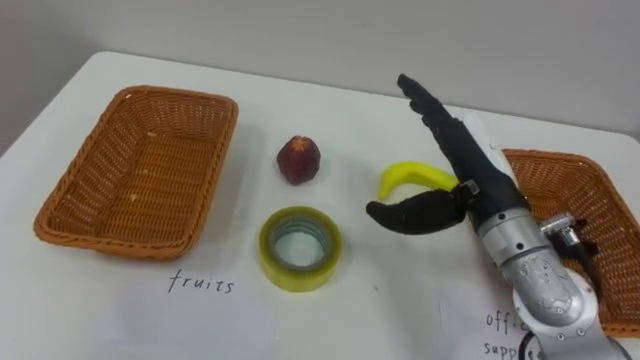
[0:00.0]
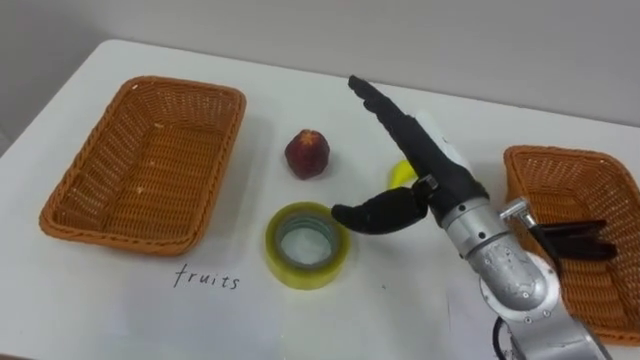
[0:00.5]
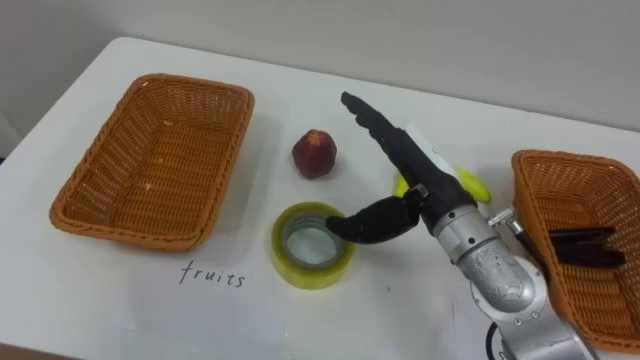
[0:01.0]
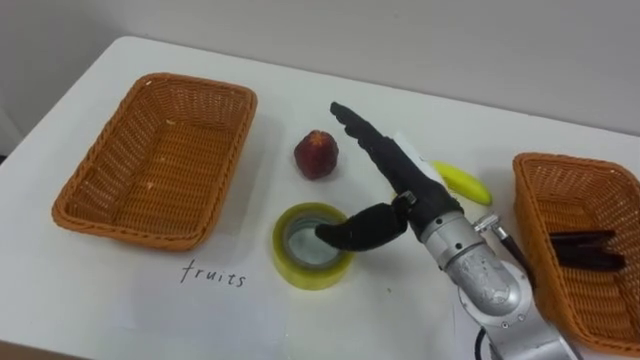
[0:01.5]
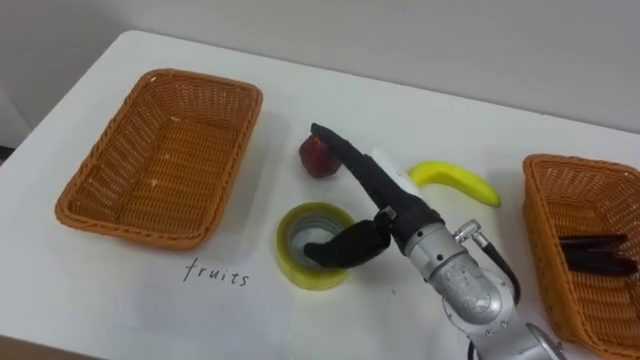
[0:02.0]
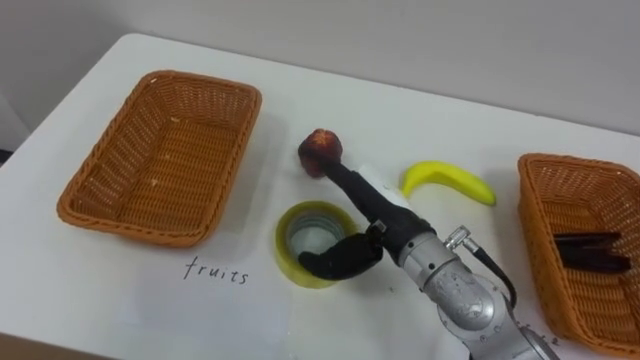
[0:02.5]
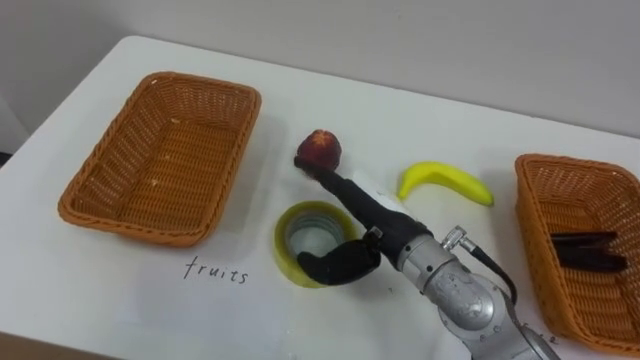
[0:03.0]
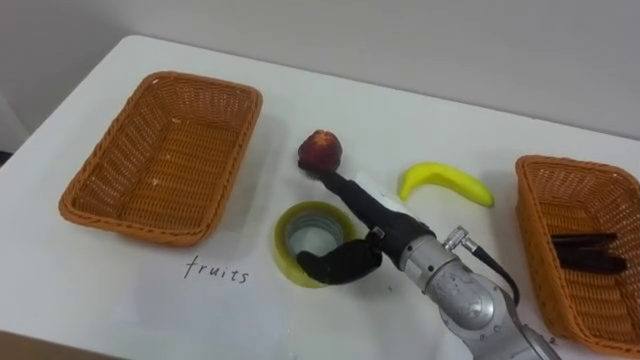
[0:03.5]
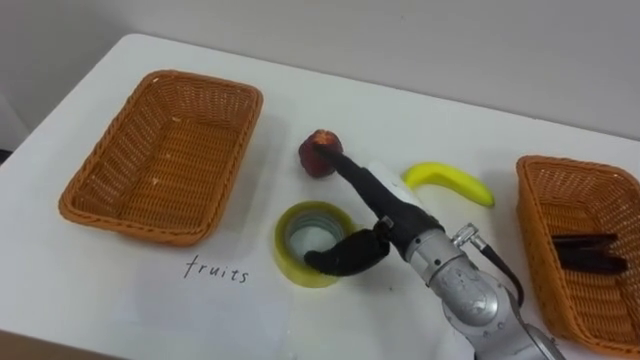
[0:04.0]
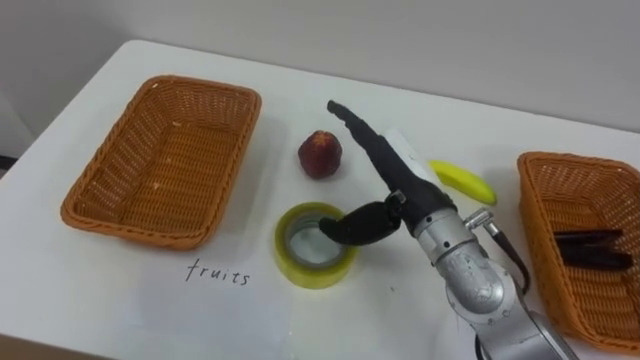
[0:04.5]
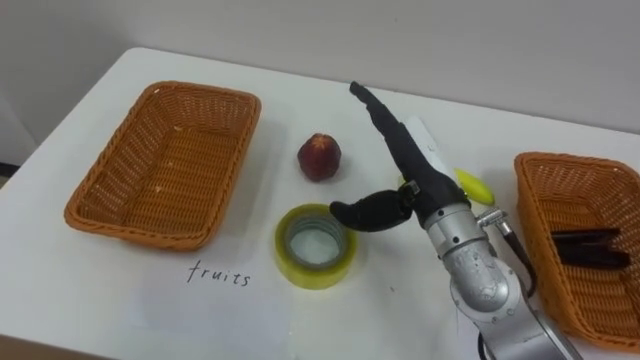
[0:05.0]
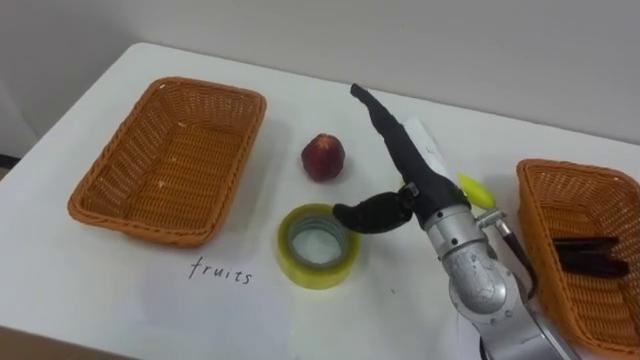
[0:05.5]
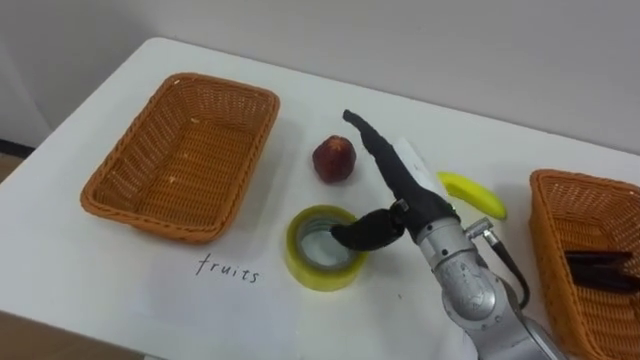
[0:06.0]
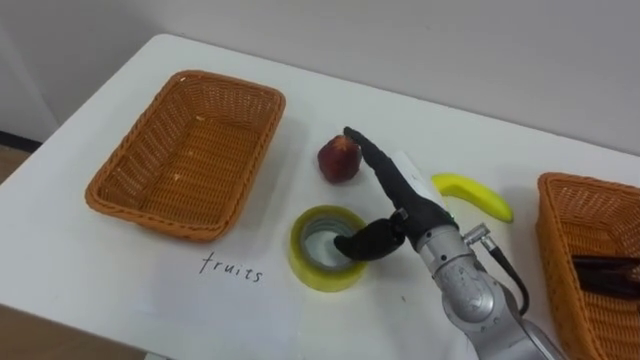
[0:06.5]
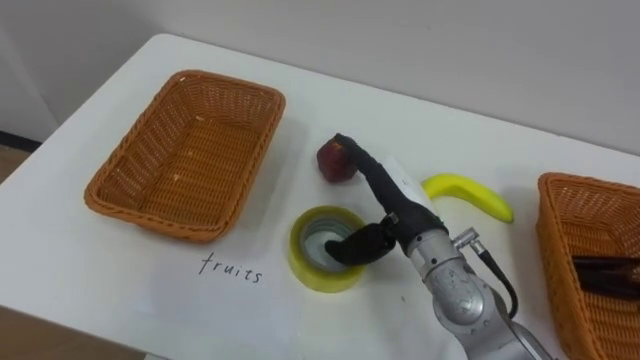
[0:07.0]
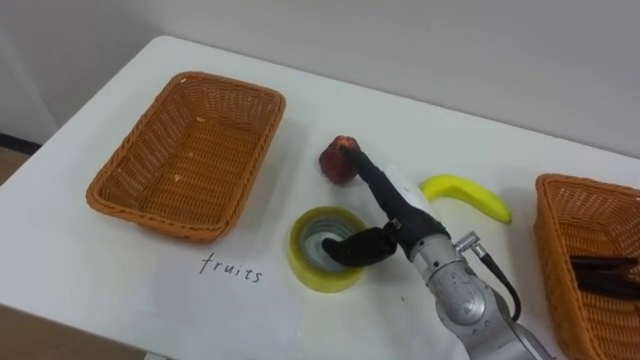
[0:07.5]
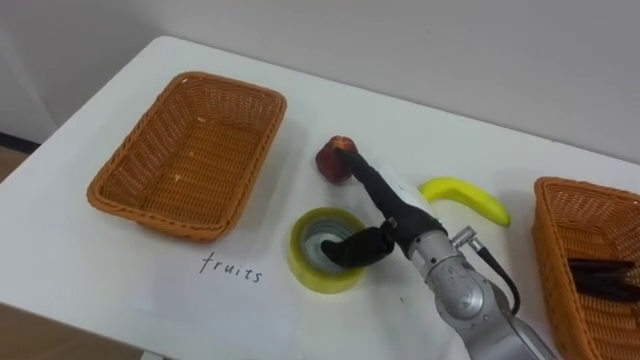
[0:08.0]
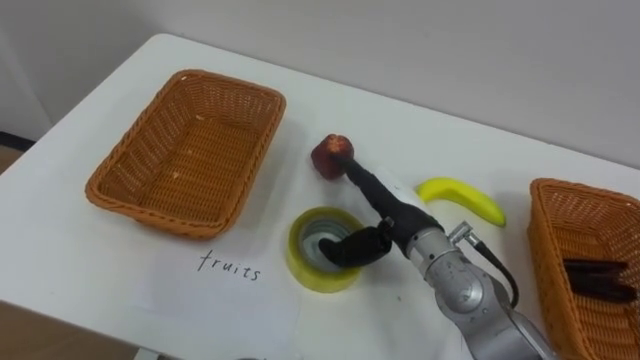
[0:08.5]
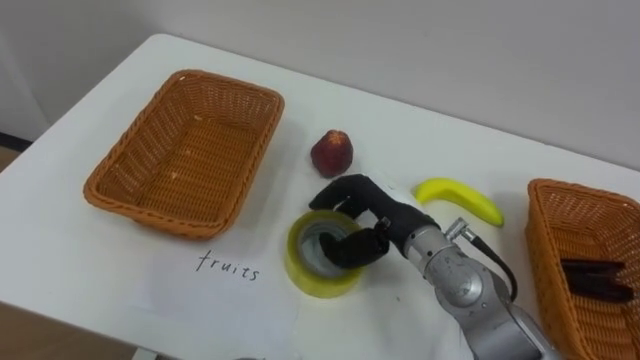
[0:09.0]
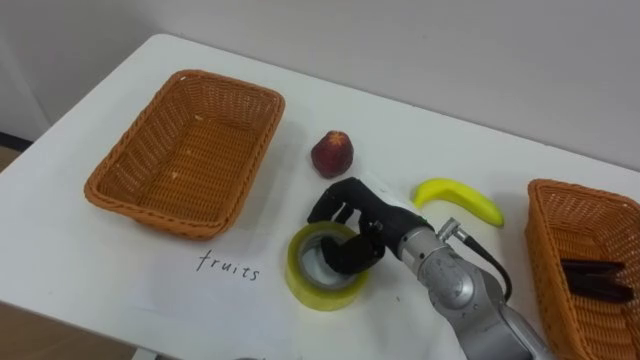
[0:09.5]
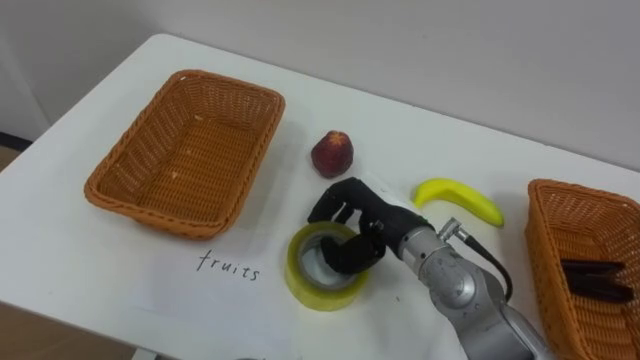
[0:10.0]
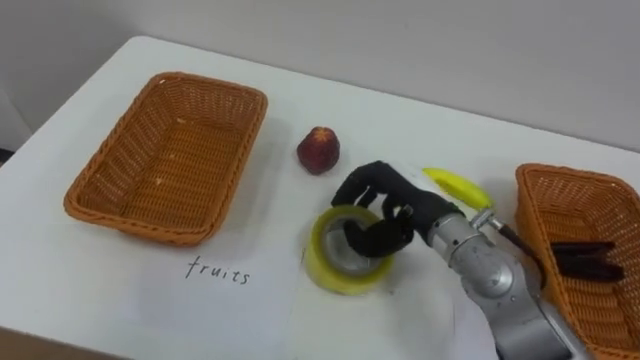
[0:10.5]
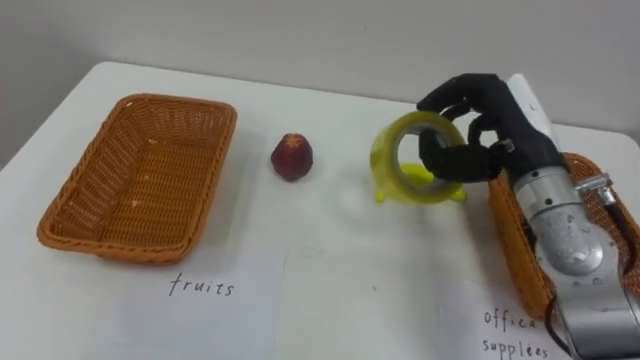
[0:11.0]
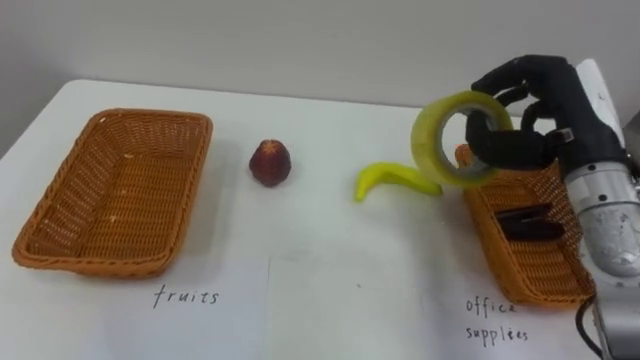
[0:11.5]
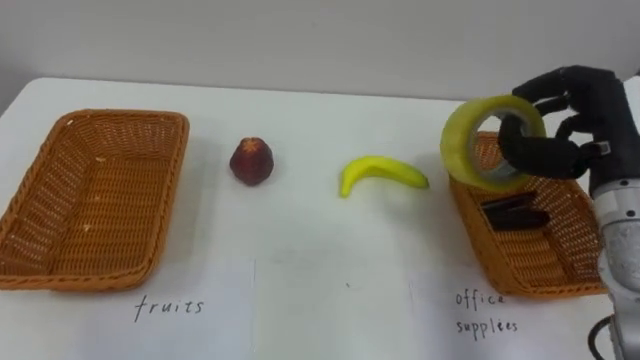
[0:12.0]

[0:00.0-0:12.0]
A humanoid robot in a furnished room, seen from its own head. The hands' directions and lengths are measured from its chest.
Task of the whole recording: Separate the items on the table and place them into the two baskets.
0:00.0 to 0:02.0: The right hand travels to the left by some 10 cm.
0:08.0 to 0:10.0: The right hand closes its fingers.
0:10.0 to 0:12.0: The right hand is displaced to the right and upward by about 25 cm.

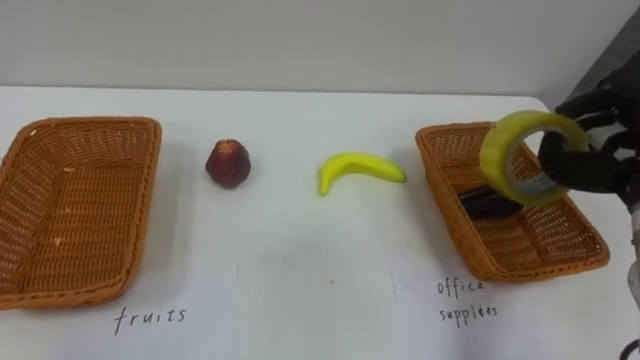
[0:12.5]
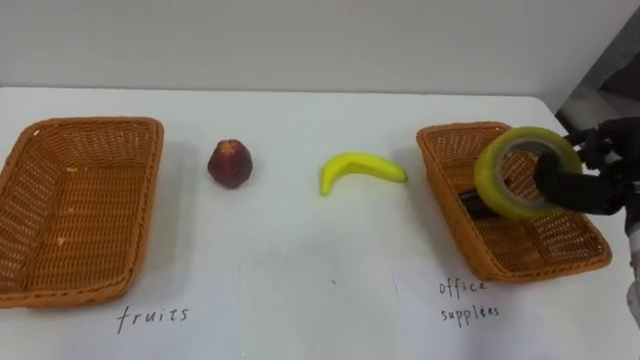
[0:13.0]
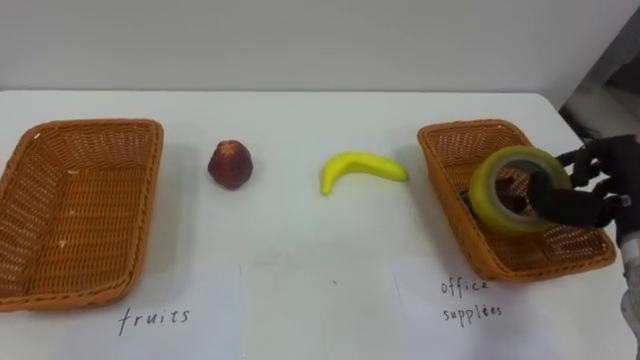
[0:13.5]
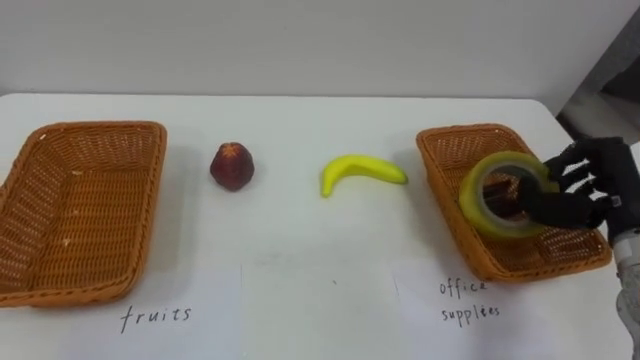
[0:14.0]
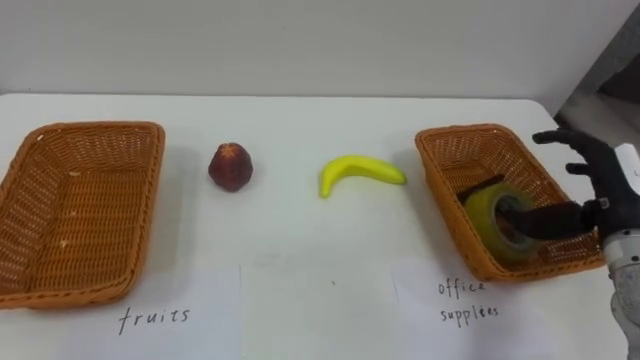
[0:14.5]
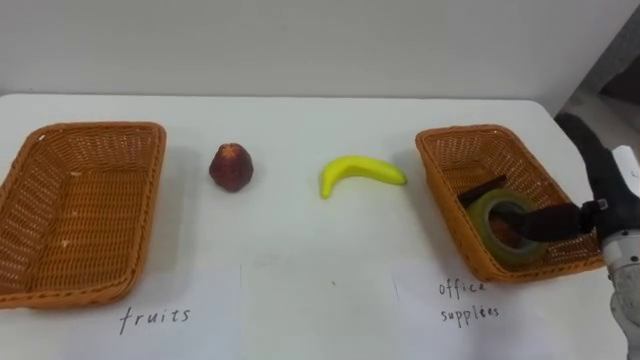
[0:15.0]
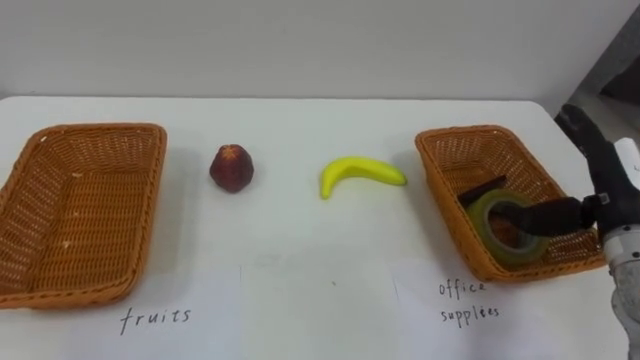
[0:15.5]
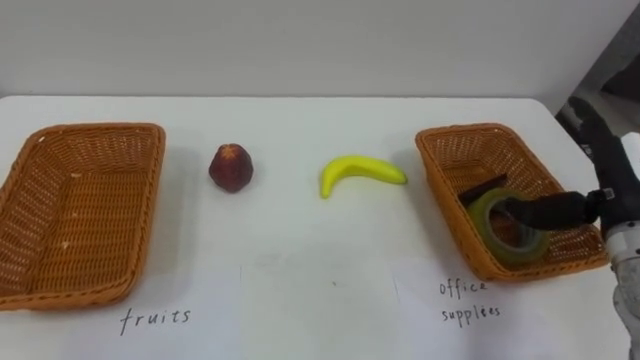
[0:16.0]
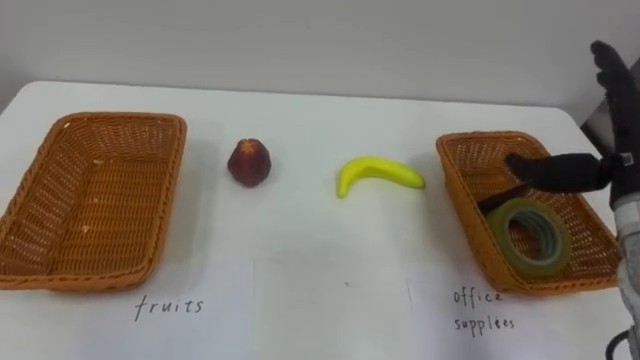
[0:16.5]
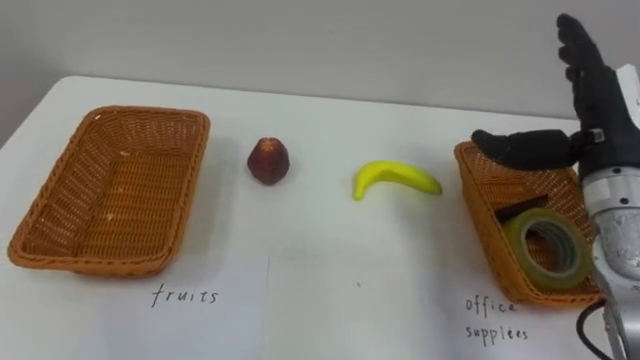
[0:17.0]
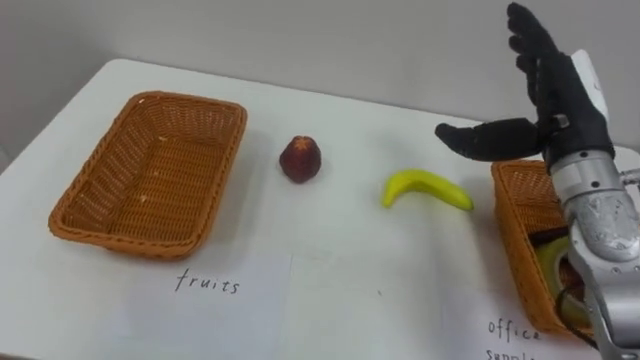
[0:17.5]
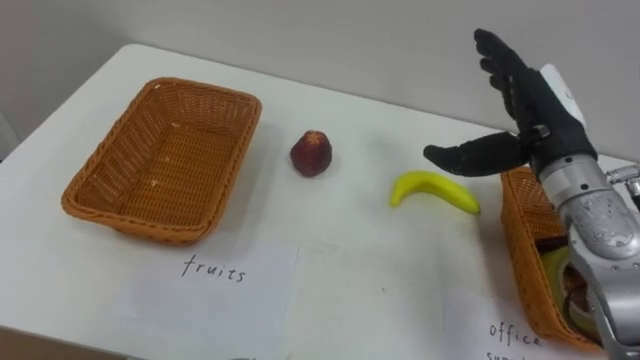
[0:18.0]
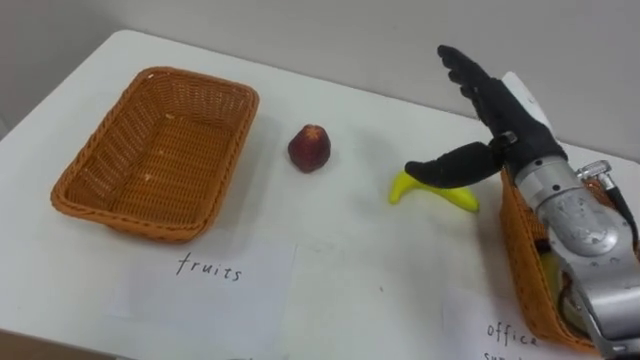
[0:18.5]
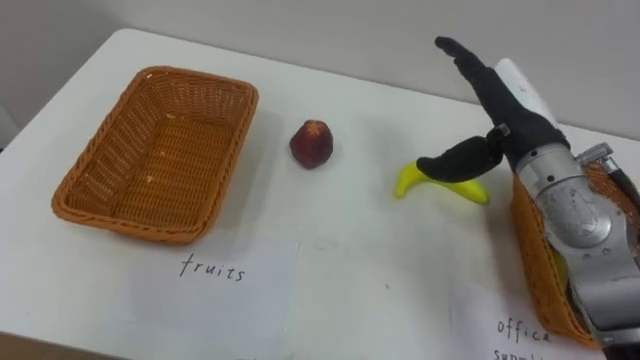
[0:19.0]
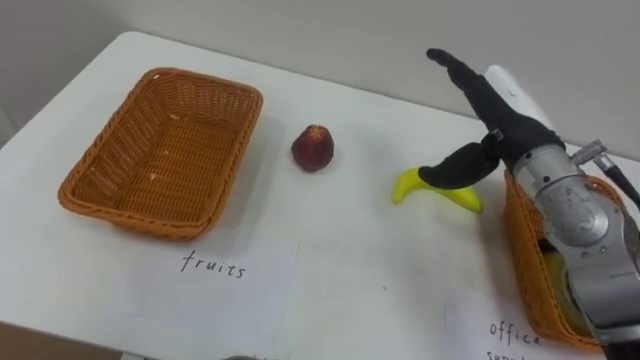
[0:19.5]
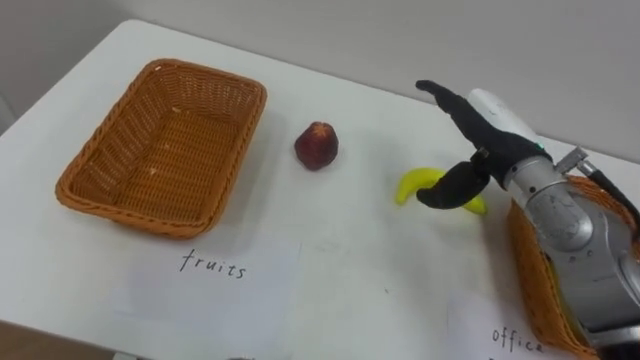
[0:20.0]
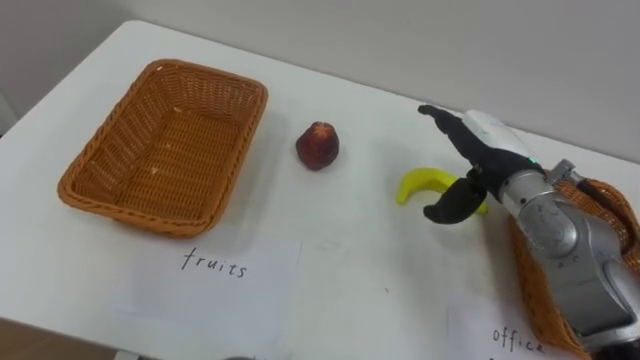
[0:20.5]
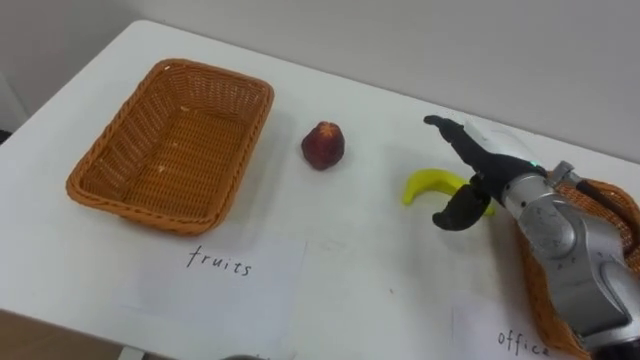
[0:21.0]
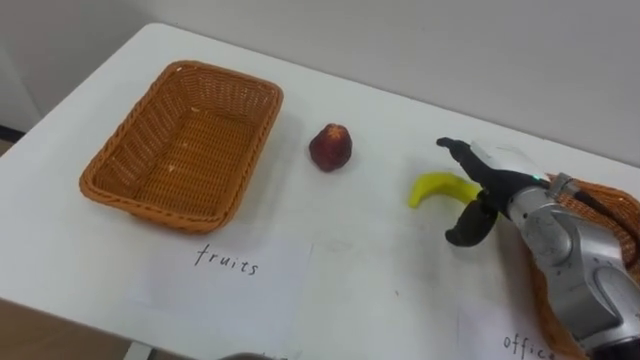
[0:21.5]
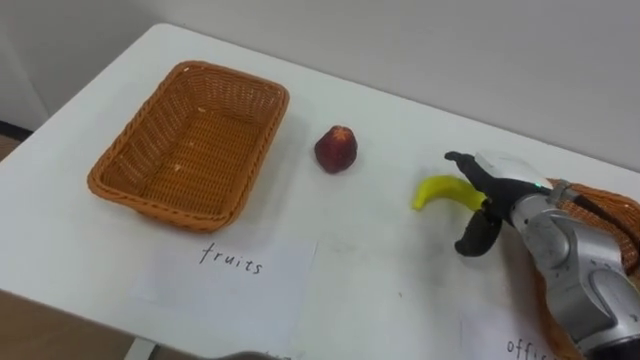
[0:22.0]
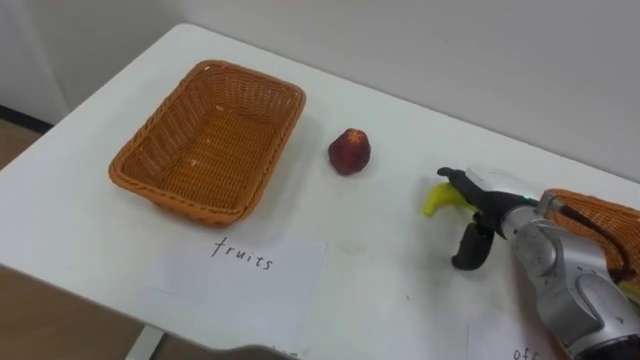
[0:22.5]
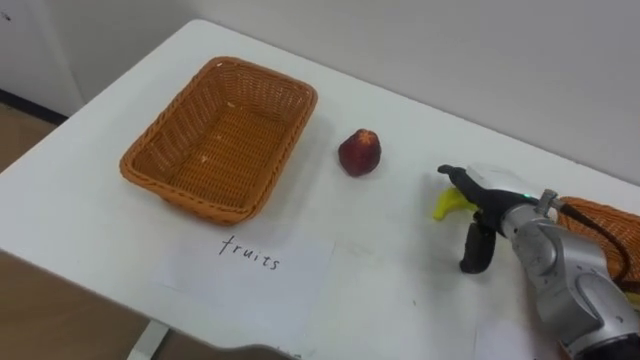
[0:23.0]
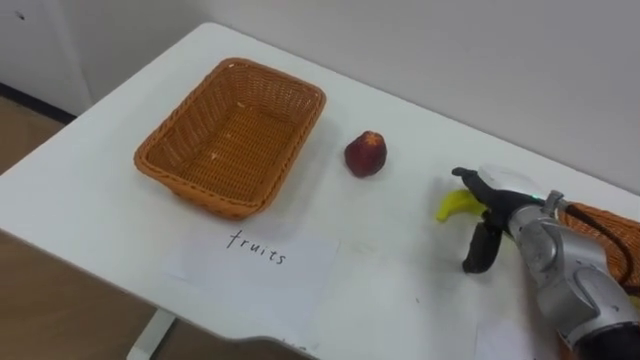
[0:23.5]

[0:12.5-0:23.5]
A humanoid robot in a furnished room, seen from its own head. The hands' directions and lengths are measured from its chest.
Task of the whole recording: Separate the items on the table and place them into the two baskets.
0:16.0 to 0:18.0: The right hand travels to the left and upward by some 10 cm.
0:20.0 to 0:21.5: The right hand heads downward, covering roughly 5 cm.
0:21.5 to 0:23.5: The right hand ends up approximately 5 cm from where it was.
